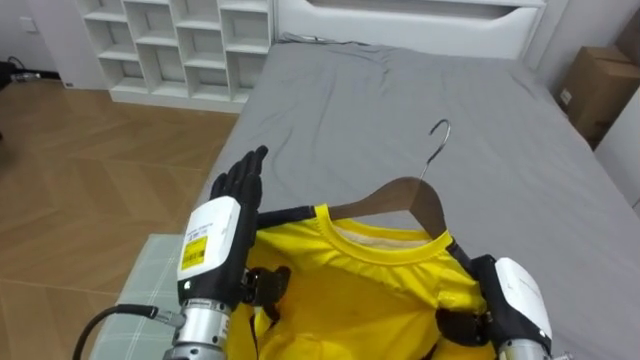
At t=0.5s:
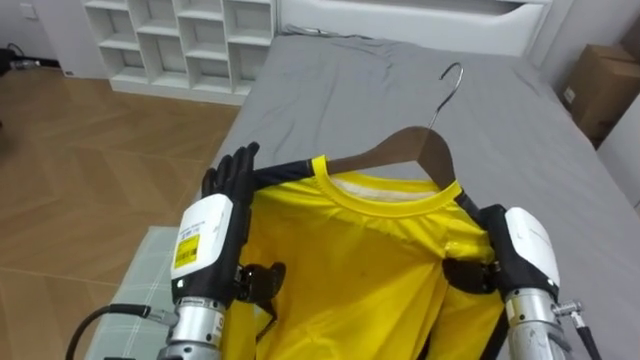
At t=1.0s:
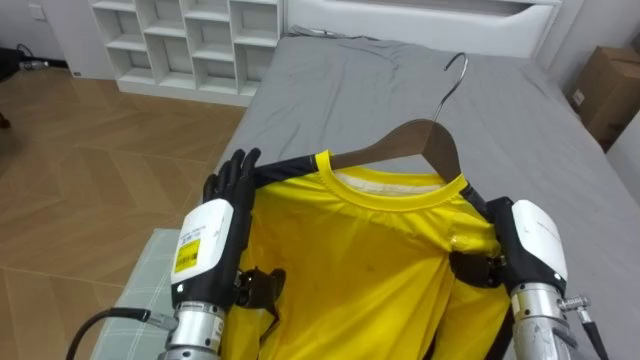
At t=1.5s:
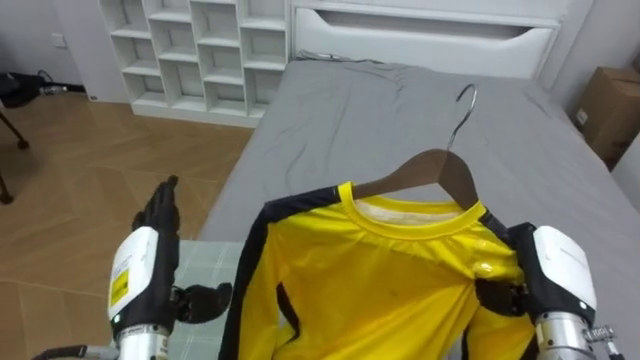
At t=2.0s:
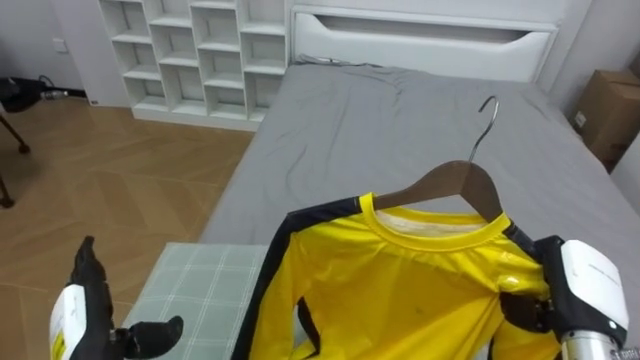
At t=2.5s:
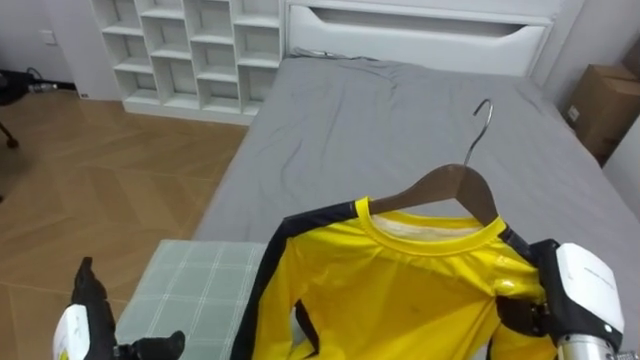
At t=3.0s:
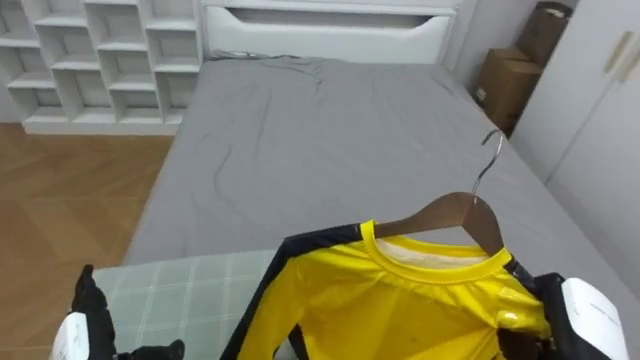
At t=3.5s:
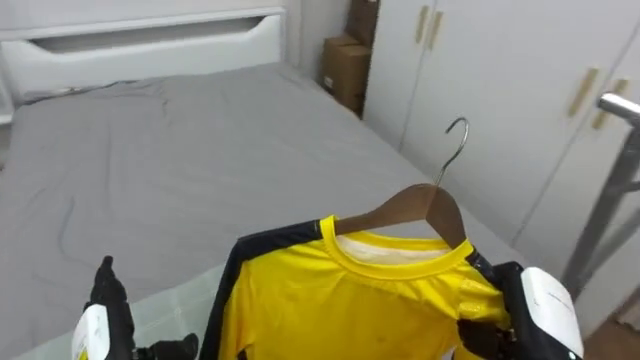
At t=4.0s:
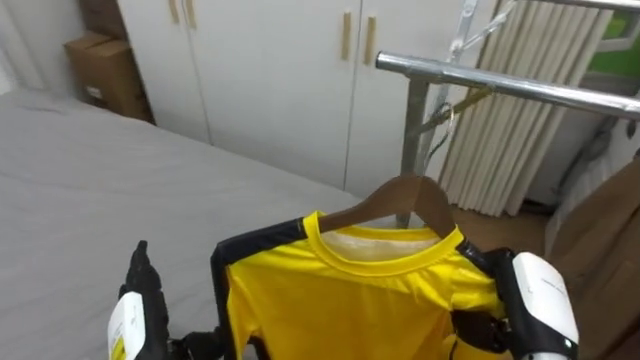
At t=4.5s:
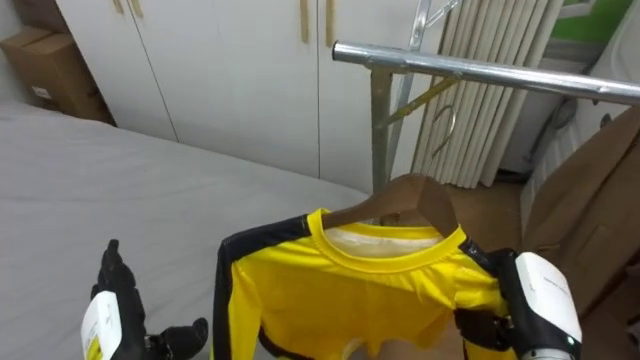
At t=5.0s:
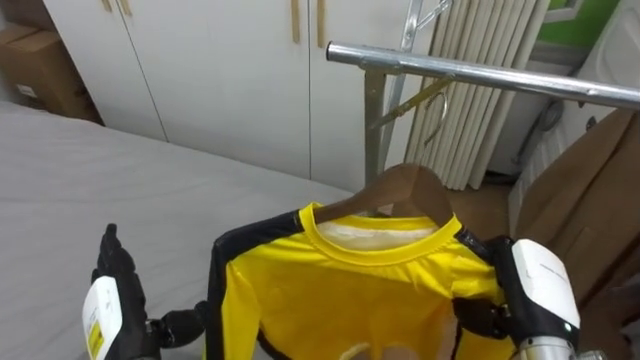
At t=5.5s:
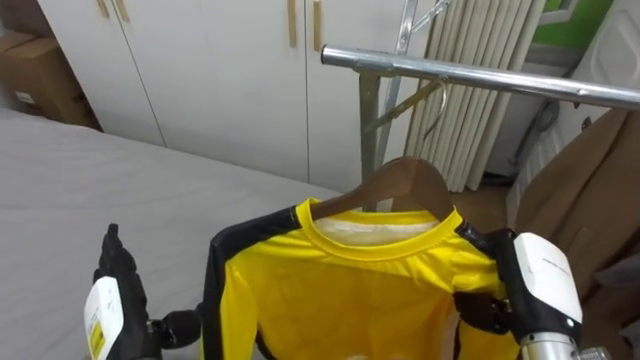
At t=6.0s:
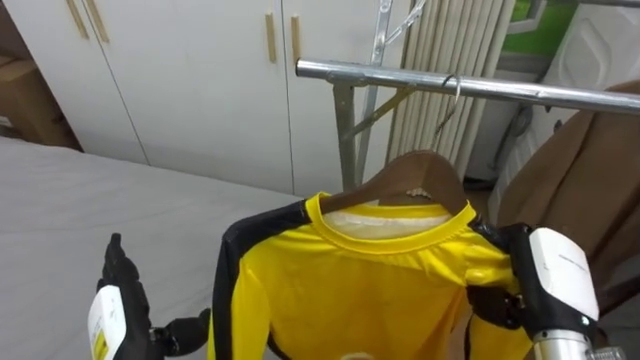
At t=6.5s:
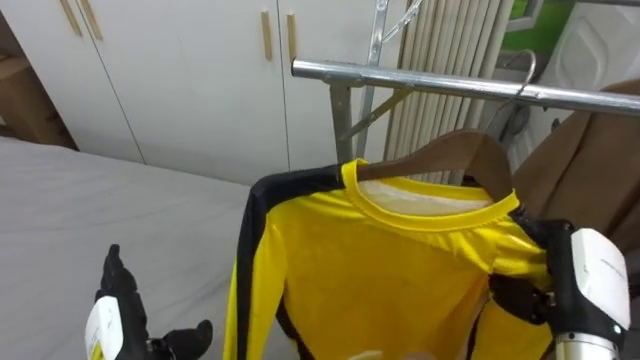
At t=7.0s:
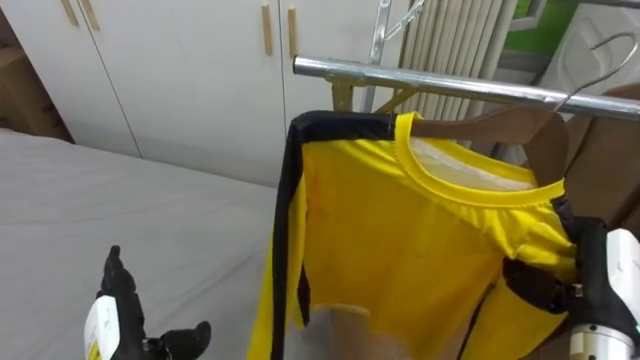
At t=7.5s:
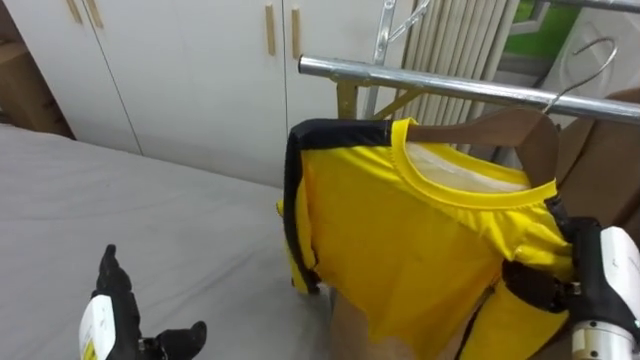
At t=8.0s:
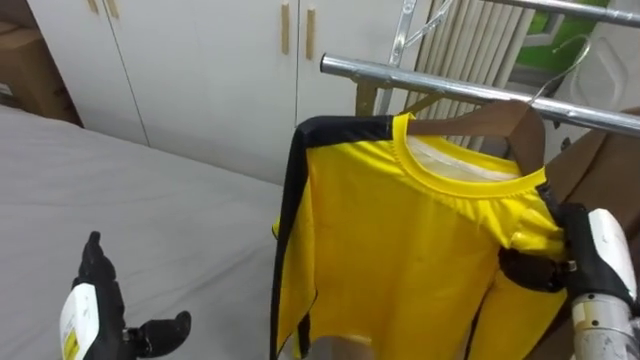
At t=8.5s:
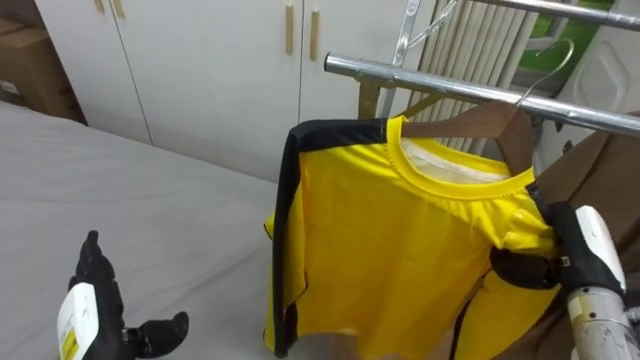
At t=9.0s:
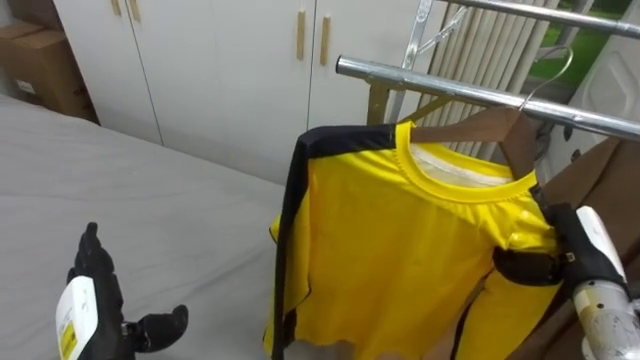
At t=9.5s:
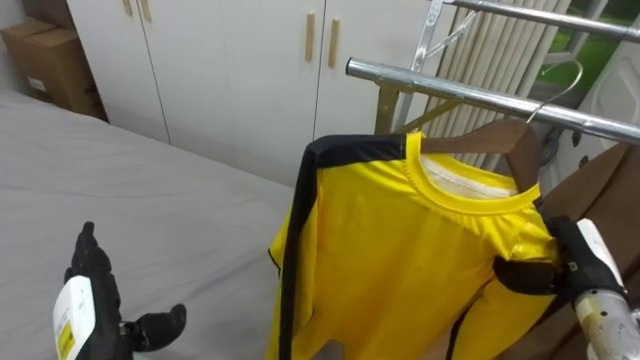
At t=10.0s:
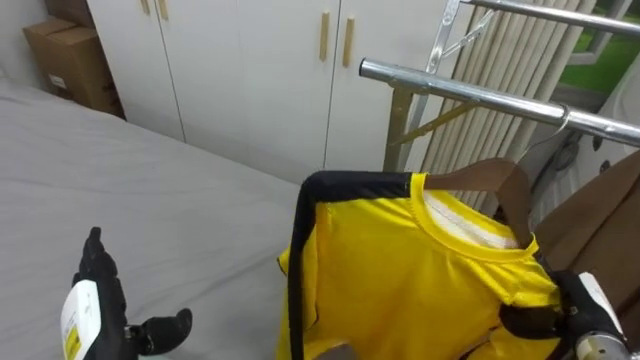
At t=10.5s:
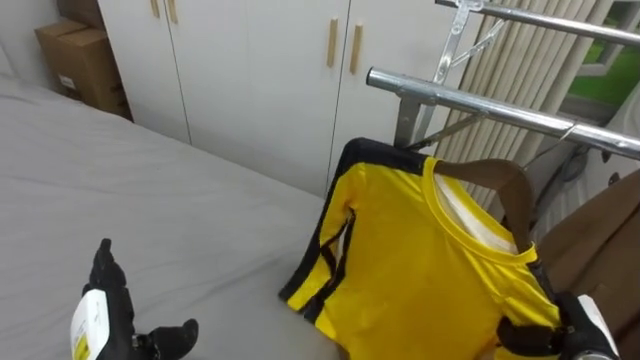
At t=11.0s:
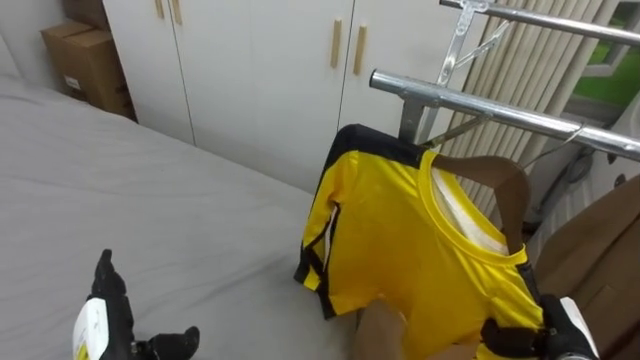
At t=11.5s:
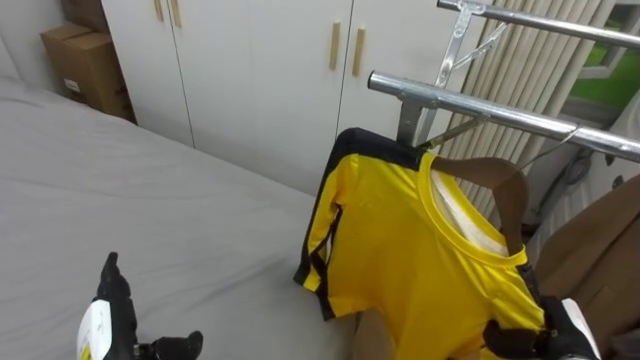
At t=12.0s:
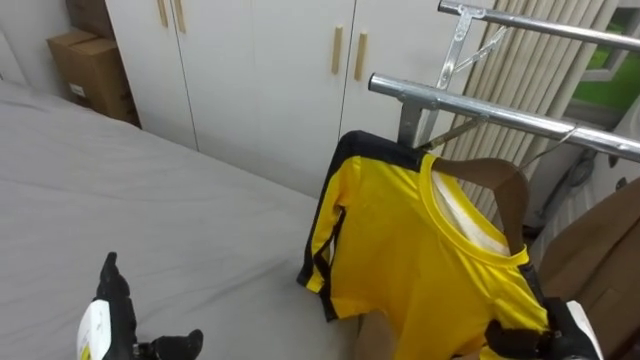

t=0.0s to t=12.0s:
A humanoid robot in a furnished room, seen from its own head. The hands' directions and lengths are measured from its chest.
Task of the whole recording: Pick up the yellow shirt on the bed and hang it on the clothes rack on the right.
t=0.0s to t=2.0s: The left hand shifts about 15 cm to the left and downward. The right hand is displaced to the right by some 5 cm.
t=2.0s to t=4.0s: The robot's body swings roughly 70 degrees to its right. The right hand shifts roughly 5 cm to the left.
t=6.0s to t=8.0s: The right hand heads to the right, covering some 5 cm.
t=8.0s to t=10.0s: The right hand travels downward by approximately 10 cm.

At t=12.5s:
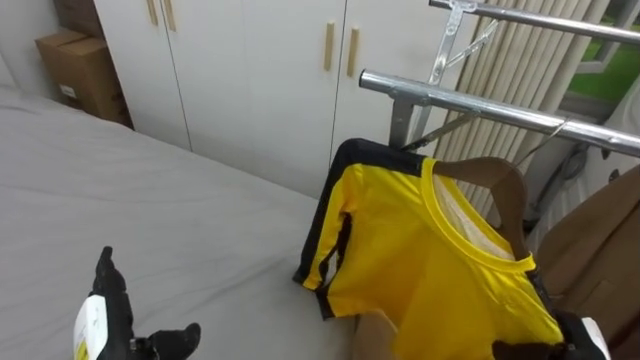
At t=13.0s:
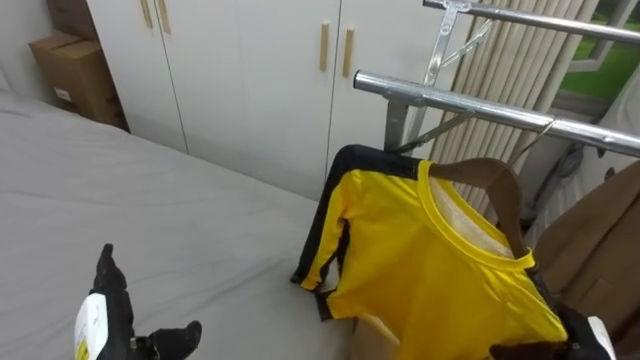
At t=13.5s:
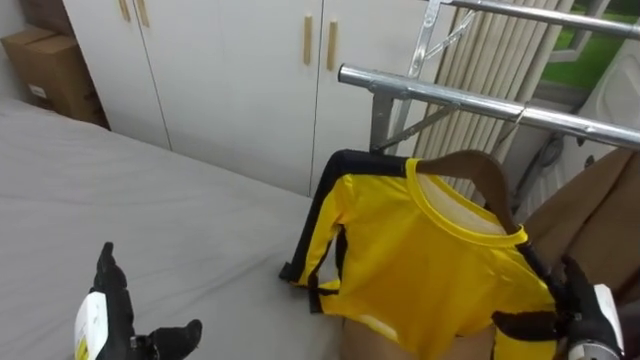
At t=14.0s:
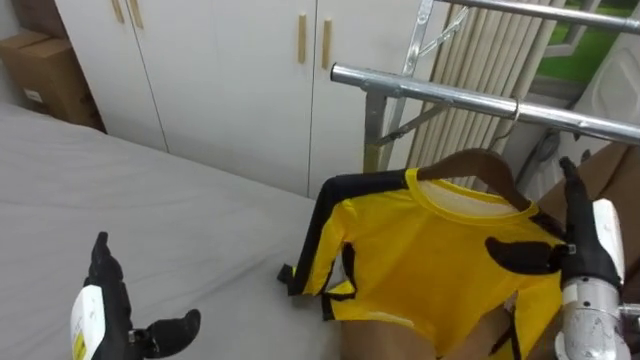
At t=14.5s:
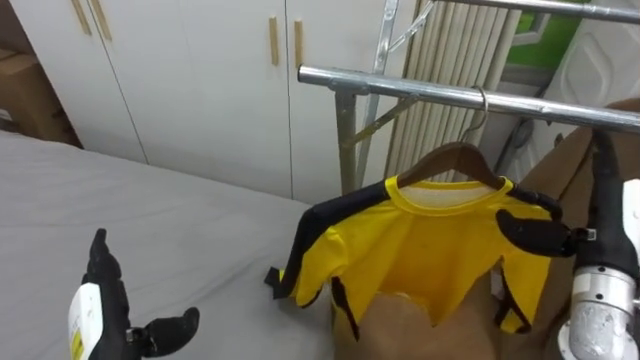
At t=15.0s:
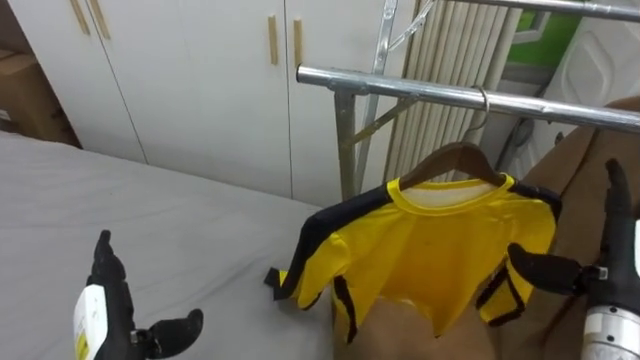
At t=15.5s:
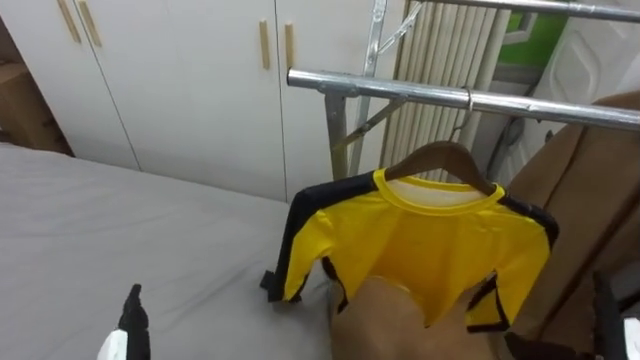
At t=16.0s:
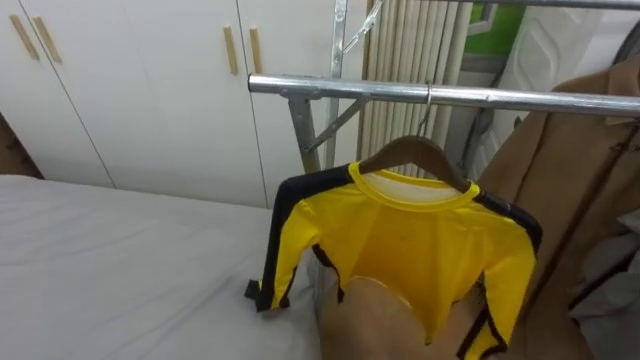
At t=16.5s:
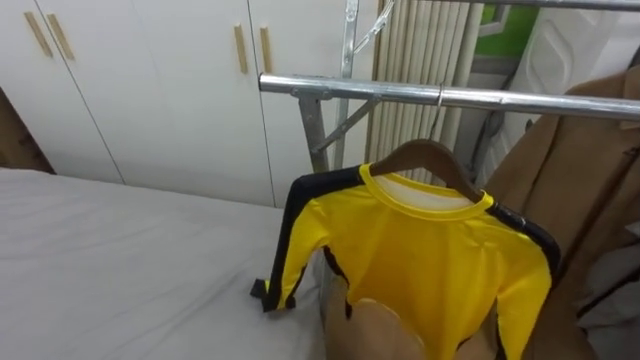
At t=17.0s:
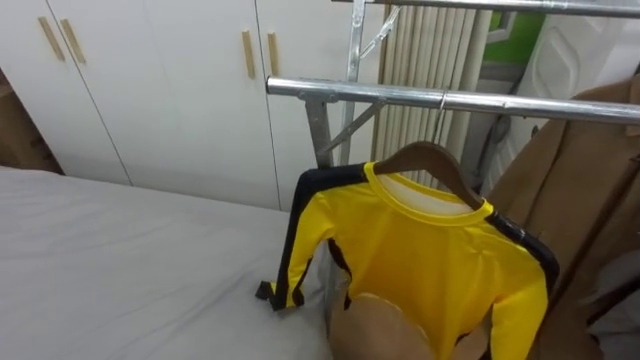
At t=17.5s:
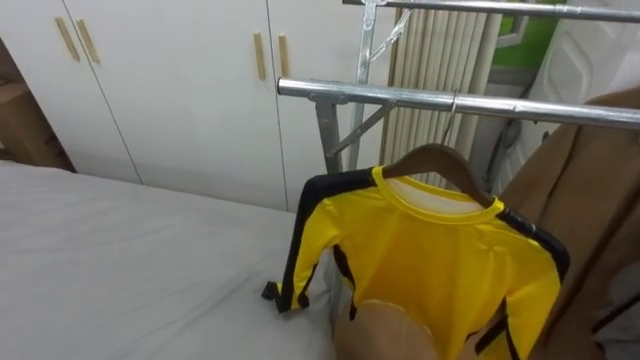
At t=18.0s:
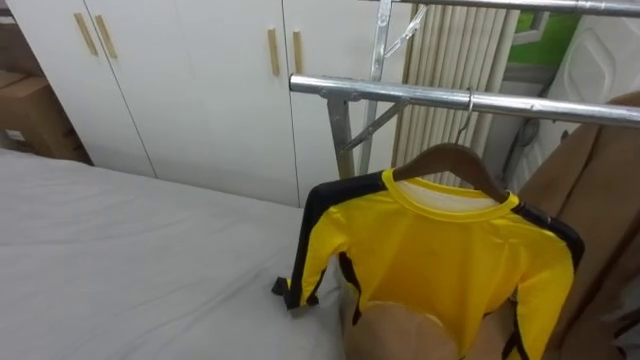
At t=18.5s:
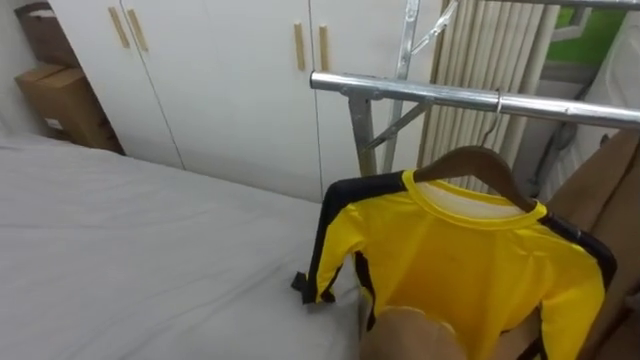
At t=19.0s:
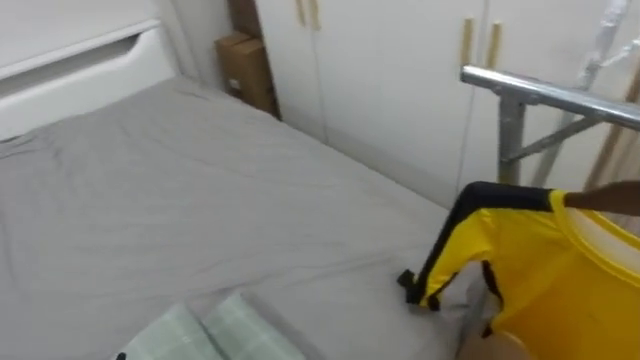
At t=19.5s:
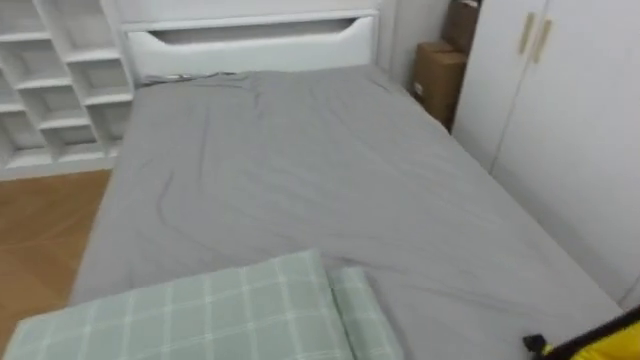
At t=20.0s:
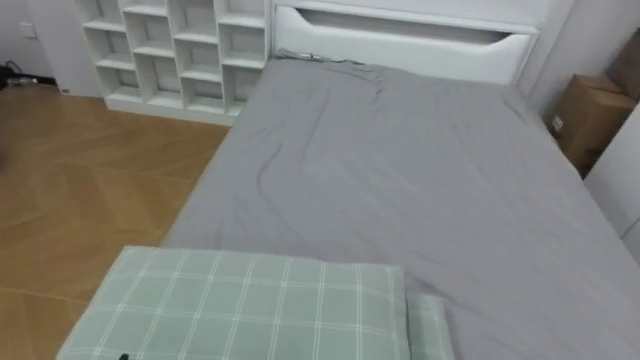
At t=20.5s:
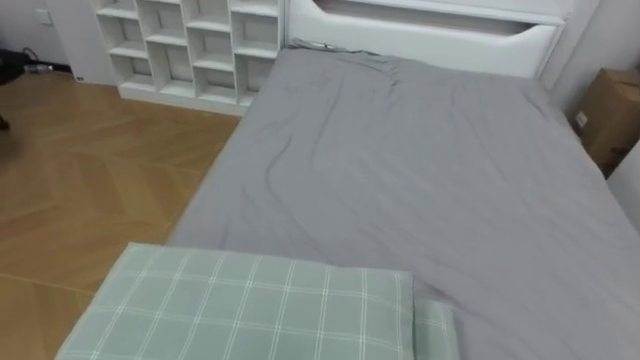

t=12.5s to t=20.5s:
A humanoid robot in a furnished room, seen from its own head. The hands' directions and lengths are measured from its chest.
Task of the whole recording: Pick up the yellow shirt on the bed and hang it on the clothes rack on the right.
t=12.5s to t=14.5s: The right hand travels upward by about 20 cm, and opens its fingers.
t=18.5s to t=20.5s: The robot faces about 80 degrees further to its left.
